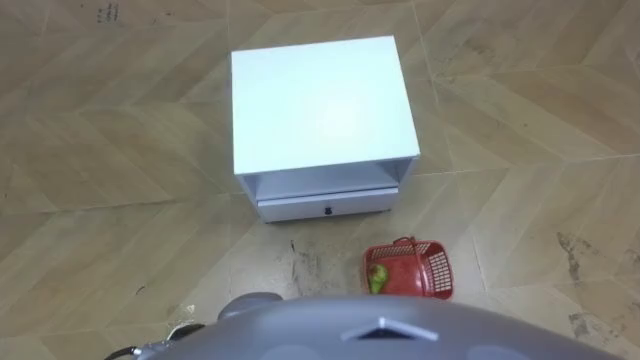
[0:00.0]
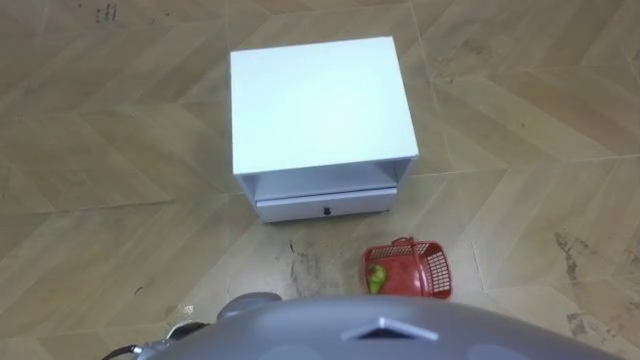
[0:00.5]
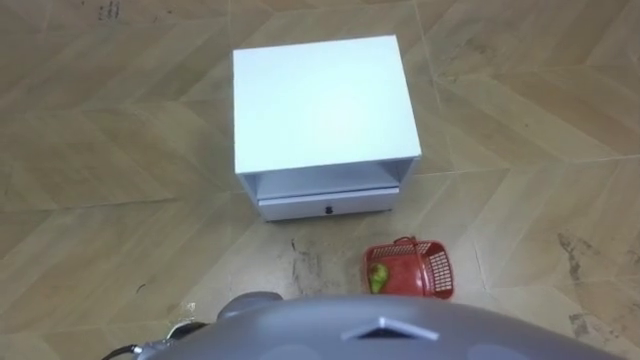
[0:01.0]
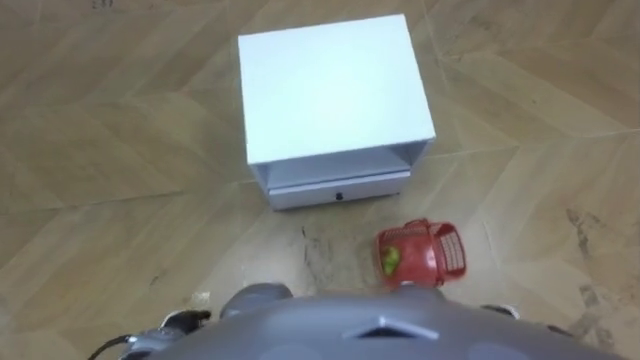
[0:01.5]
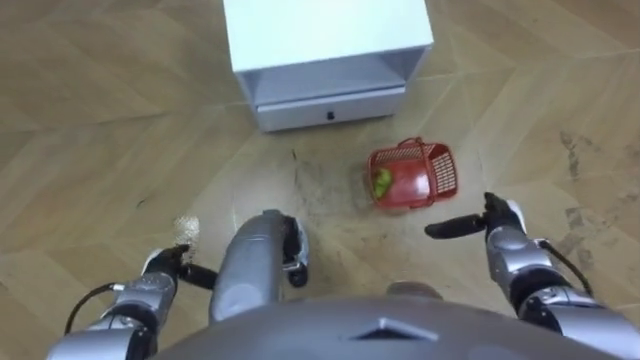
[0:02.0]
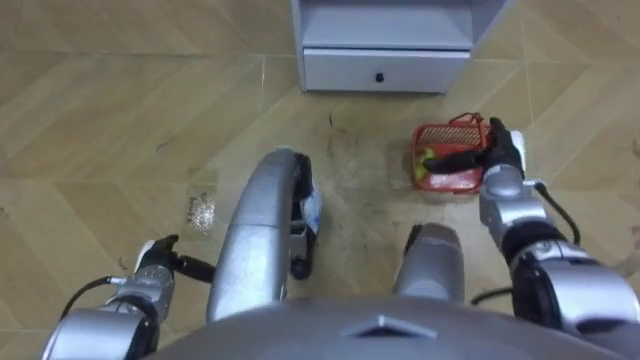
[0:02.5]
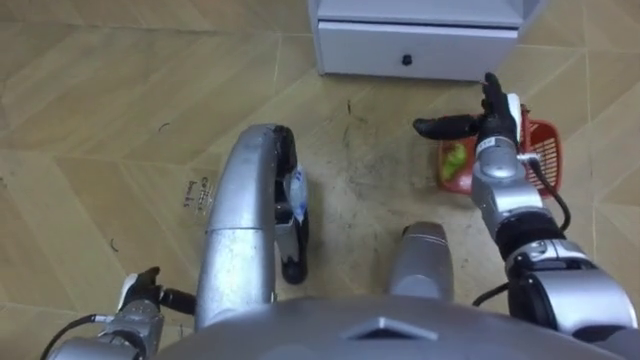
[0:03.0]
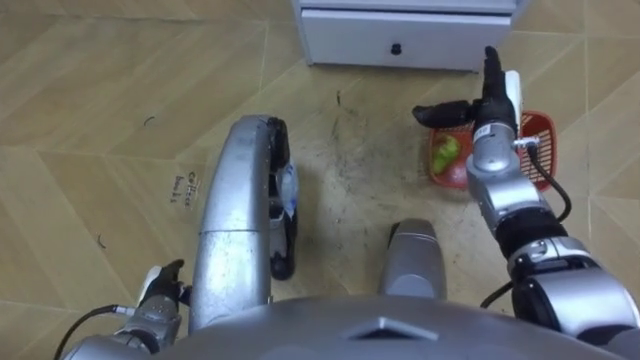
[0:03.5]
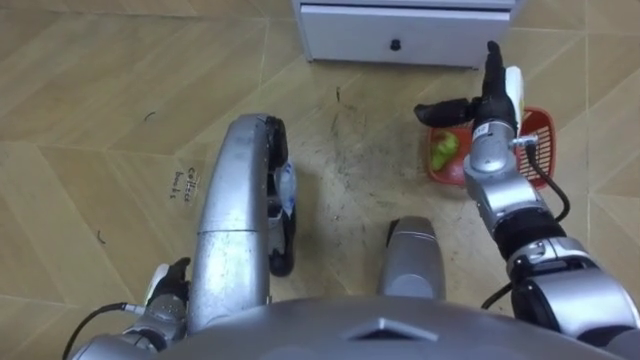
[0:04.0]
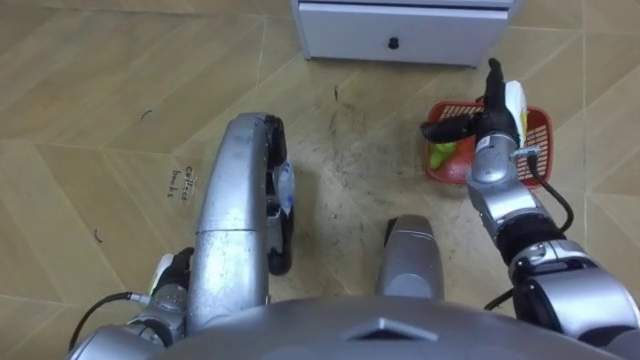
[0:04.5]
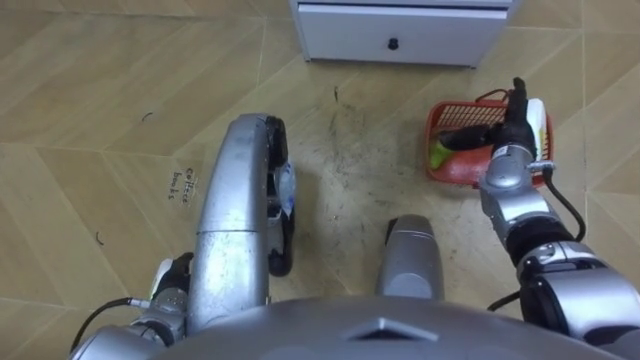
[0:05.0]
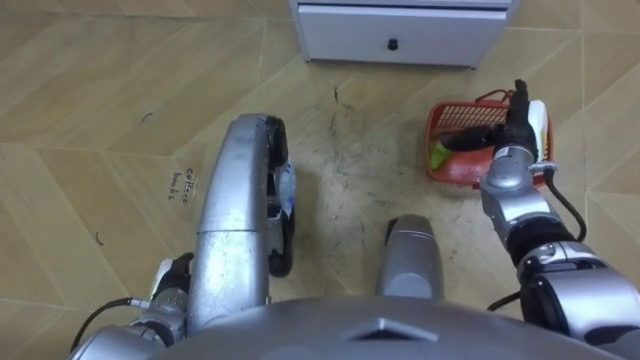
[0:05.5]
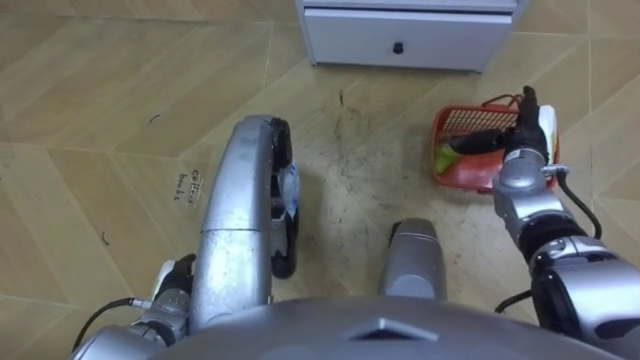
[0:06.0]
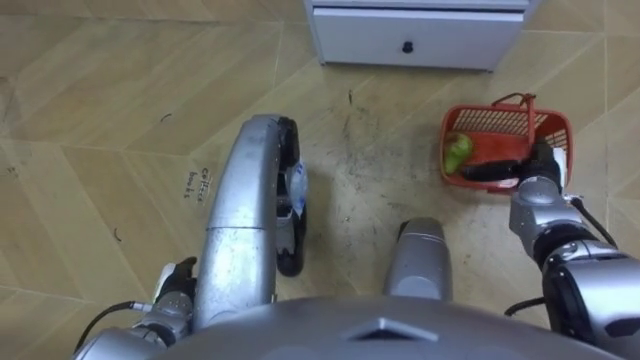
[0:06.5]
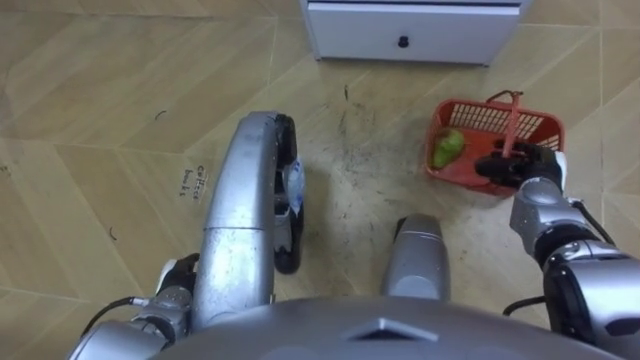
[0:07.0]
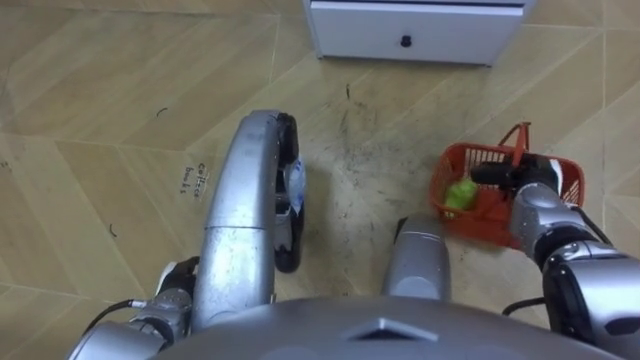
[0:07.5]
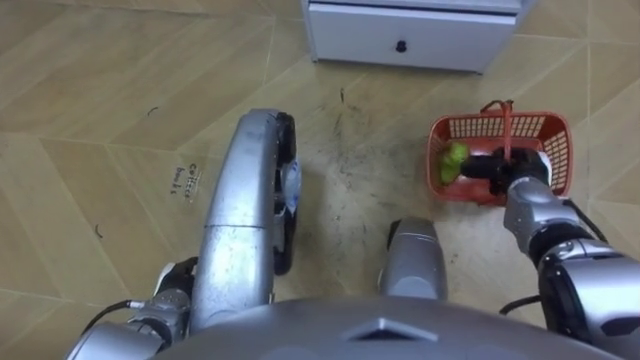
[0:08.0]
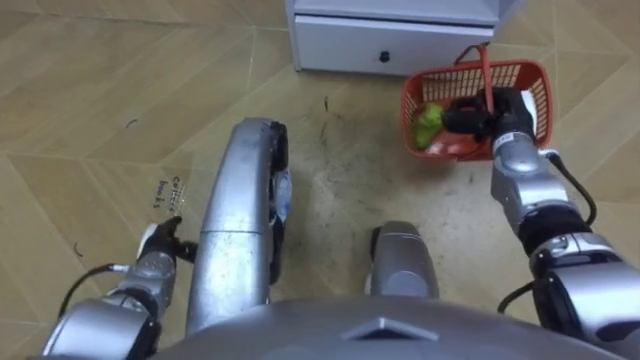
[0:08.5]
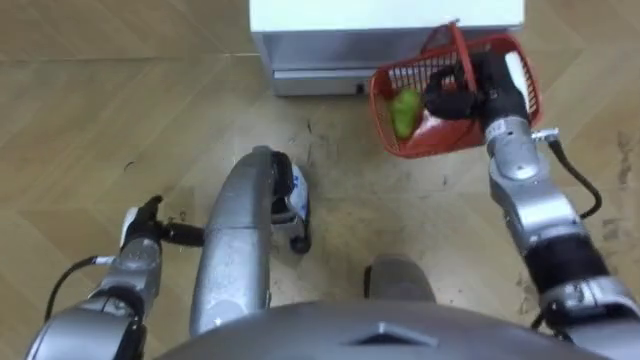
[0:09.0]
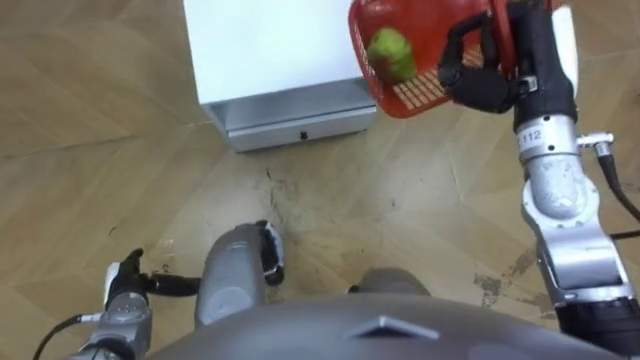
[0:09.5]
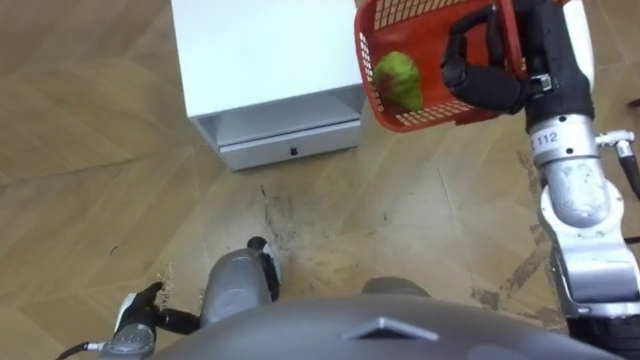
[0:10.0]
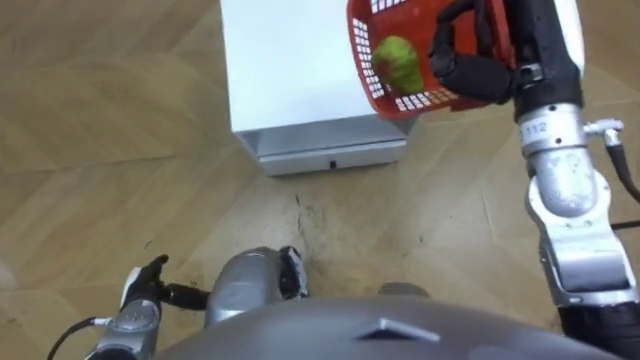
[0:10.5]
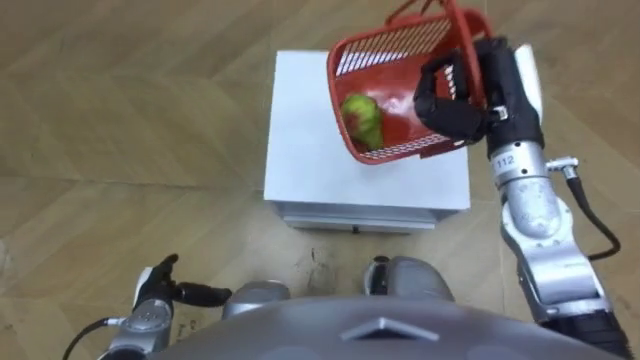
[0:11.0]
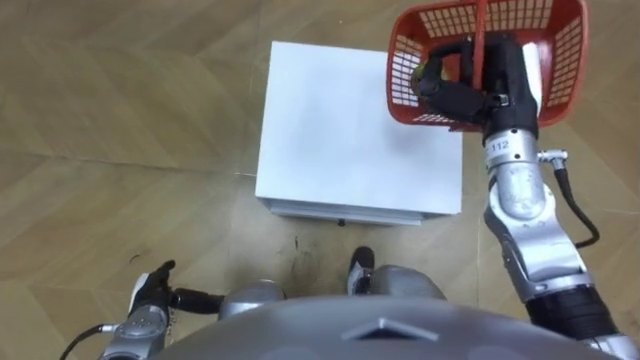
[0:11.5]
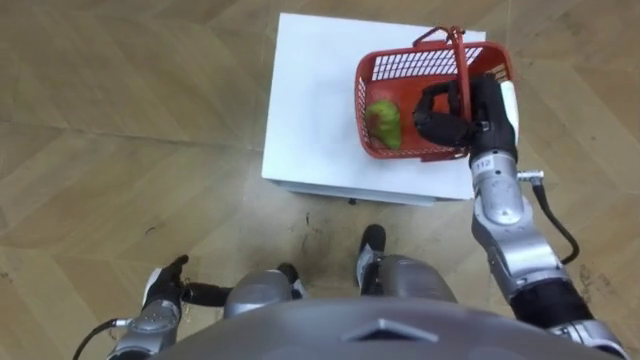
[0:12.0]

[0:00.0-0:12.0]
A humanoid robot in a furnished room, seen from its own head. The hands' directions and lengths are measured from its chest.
Task of the whole recording: Pick up the fruit basket from the floor and place it on the cabinet.
0:02.0 to 0:04.0: The robot faces roughly 20 degrees further to its left. The right hand travels forward and upward by some 20 cm.
0:04.0 to 0:06.0: The right hand moves to the right, approximately 5 cm.
0:06.0 to 0:08.0: The right hand shifts by about 5 cm, and closes its fingers.
0:08.0 to 0:10.0: The robot rotates about 20 degrees to its right. The right hand moves upward, roughly 25 cm, while the left hand shifts by about 5 cm.
0:10.0 to 0:12.0: The right hand is displaced downward by roughly 15 cm.

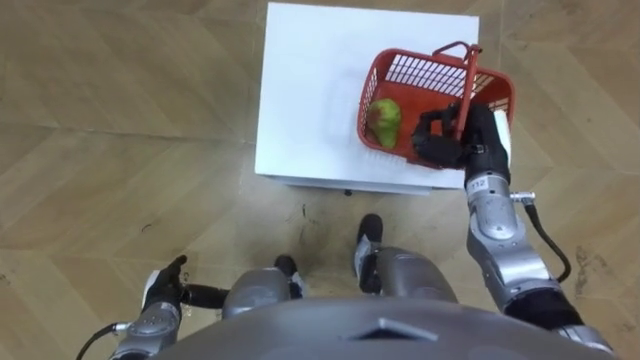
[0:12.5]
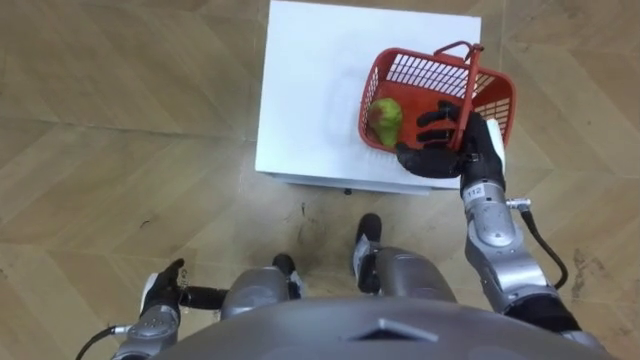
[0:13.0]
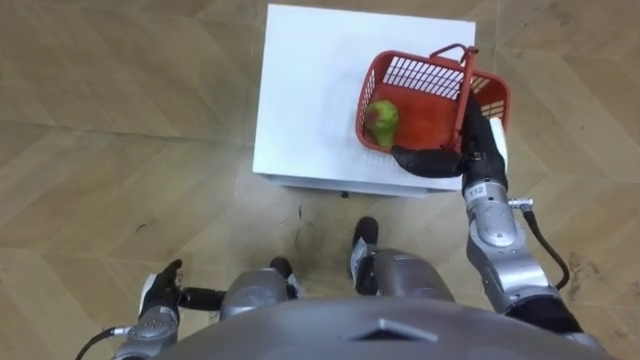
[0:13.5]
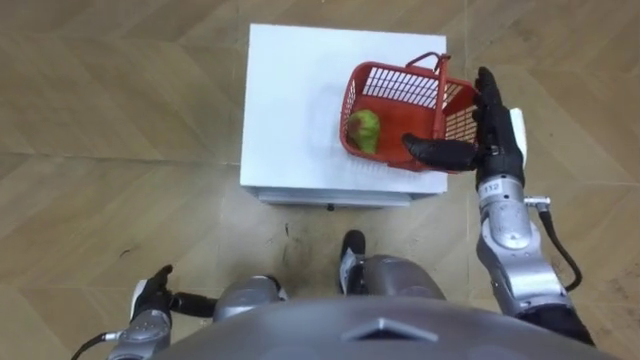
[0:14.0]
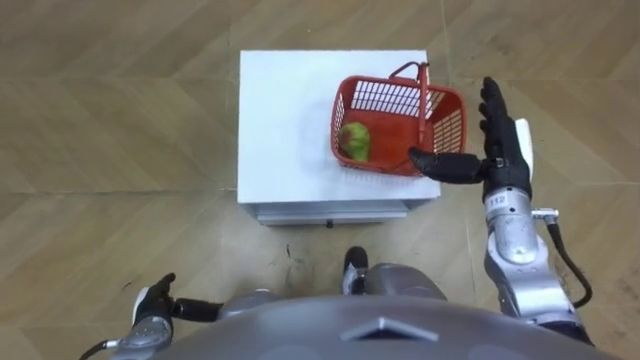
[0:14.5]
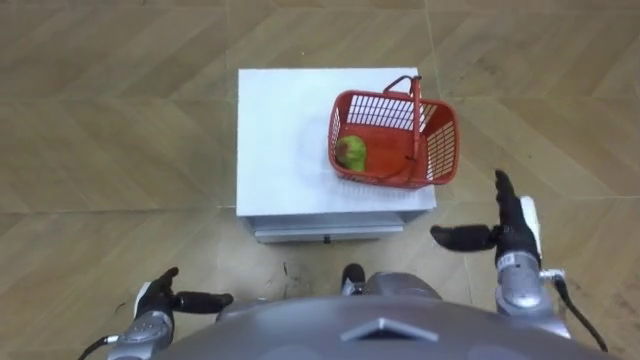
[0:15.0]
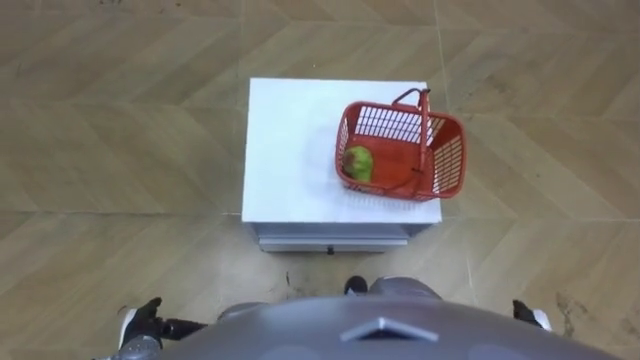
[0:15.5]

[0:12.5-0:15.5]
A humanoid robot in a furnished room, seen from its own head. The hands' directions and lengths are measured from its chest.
Task of the whole recording: Pick up the fruit basket from the floor and place it on the cabinet.
0:12.5 to 0:14.0: The right hand opens.
0:14.0 to 0:15.5: The right hand travels backward and downward by approximately 30 cm.

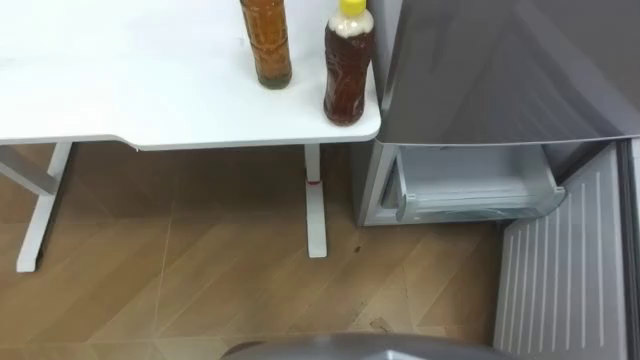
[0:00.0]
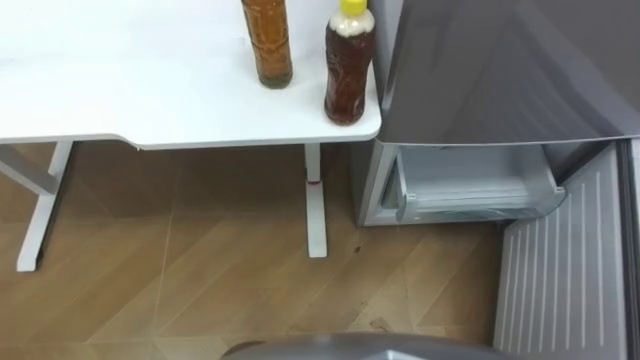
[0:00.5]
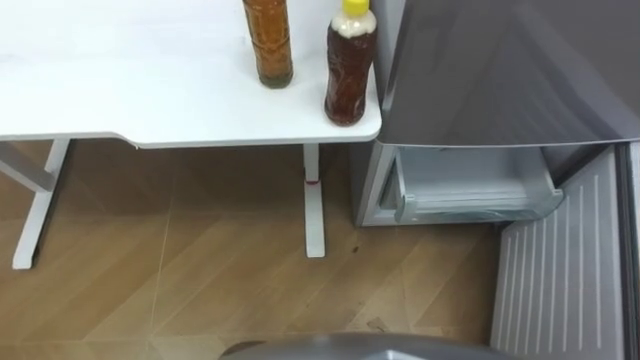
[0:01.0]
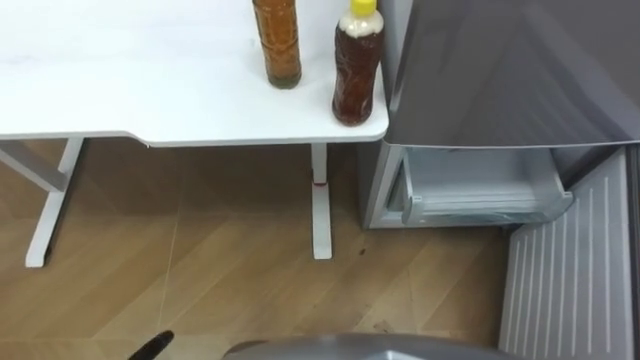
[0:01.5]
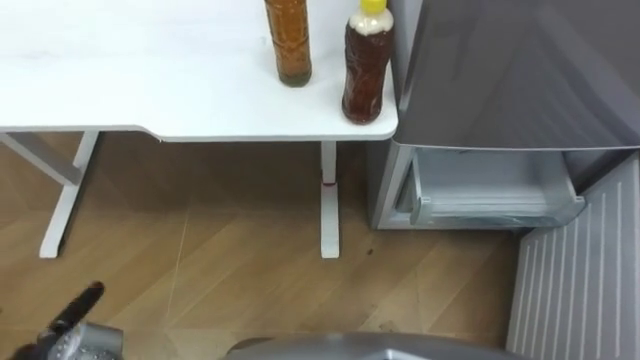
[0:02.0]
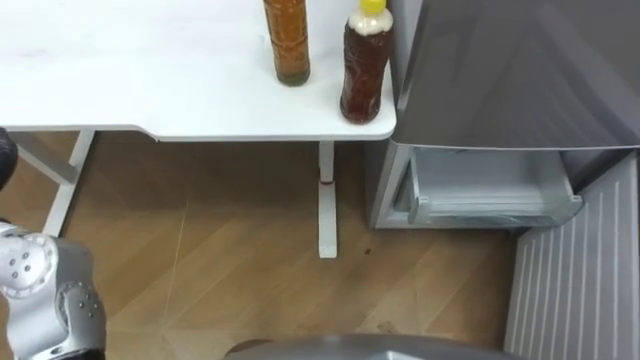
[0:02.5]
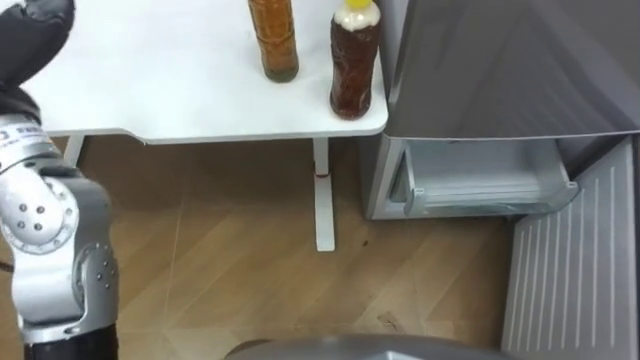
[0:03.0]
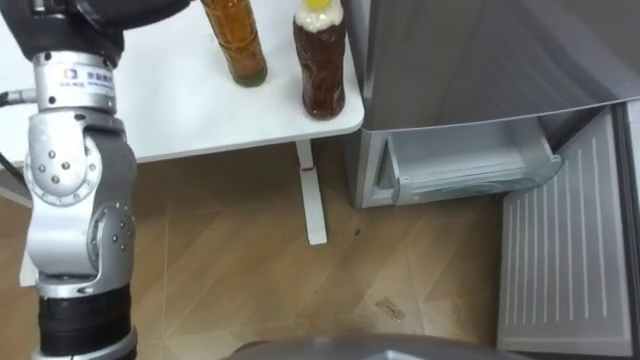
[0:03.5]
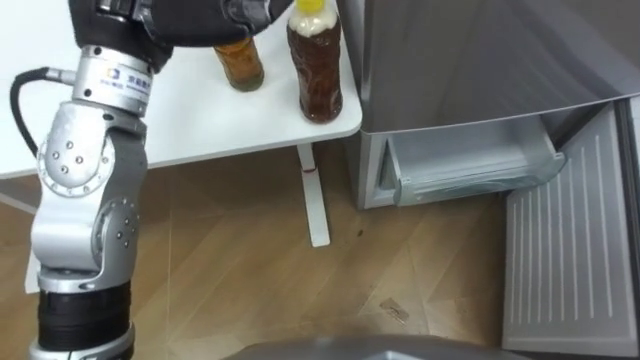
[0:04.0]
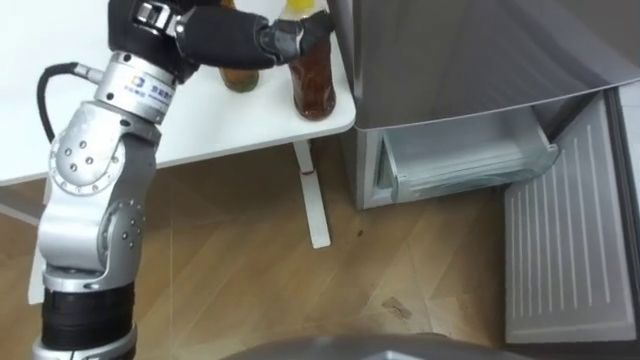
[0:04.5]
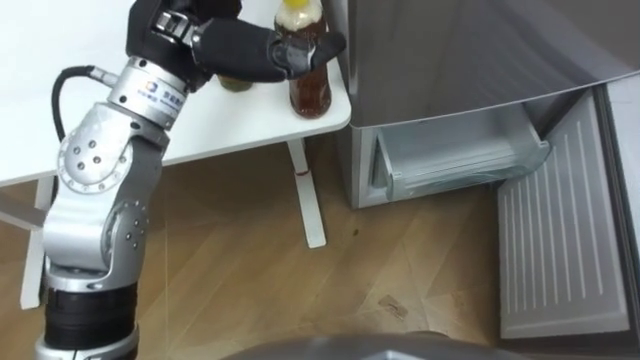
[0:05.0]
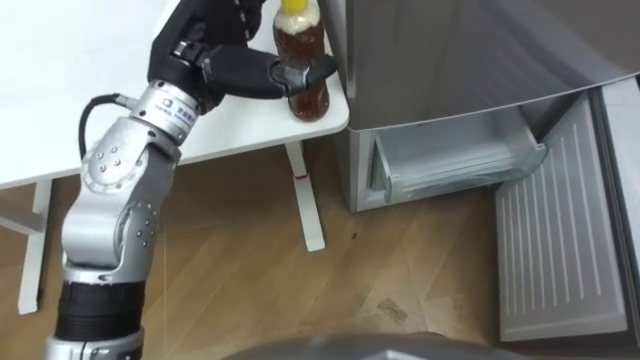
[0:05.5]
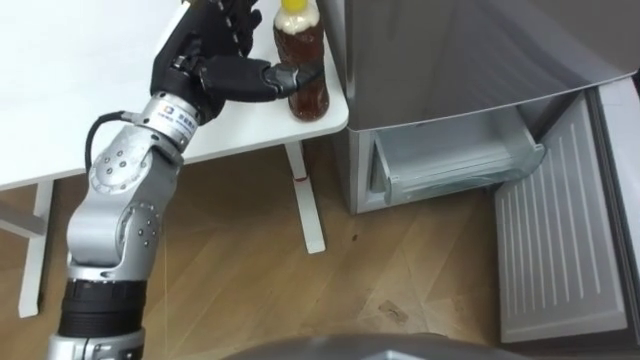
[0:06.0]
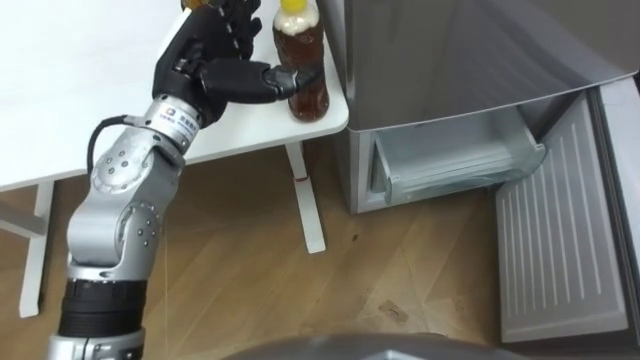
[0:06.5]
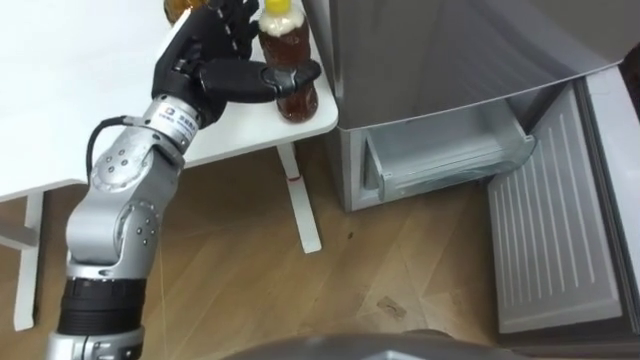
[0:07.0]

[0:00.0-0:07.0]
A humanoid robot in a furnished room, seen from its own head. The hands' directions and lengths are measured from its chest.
Task of the whole recording: Place the drink on the table on the bottom shelf of the refrigerator, then close the drawer and the refrigerator door.
0:03.5 to 0:05.0: The left hand is displaced to the right by some 10 cm.
0:05.0 to 0:07.0: The left hand shifts approximately 10 cm downward.
